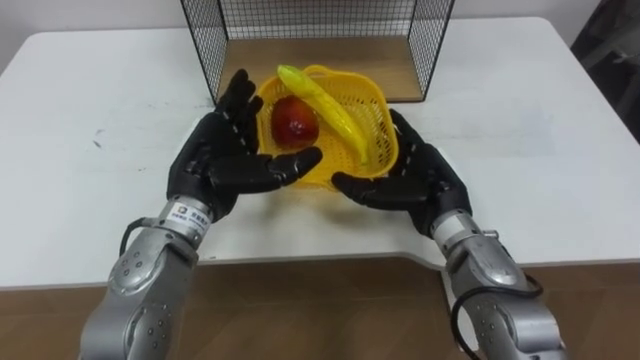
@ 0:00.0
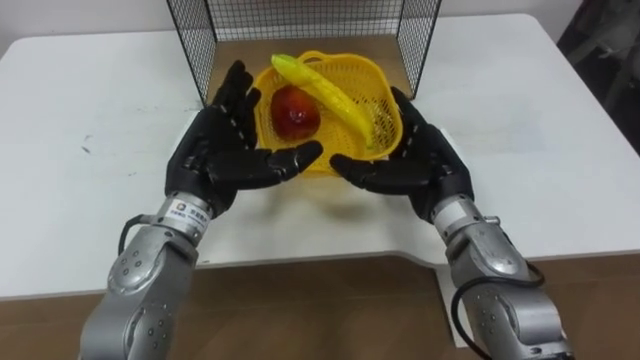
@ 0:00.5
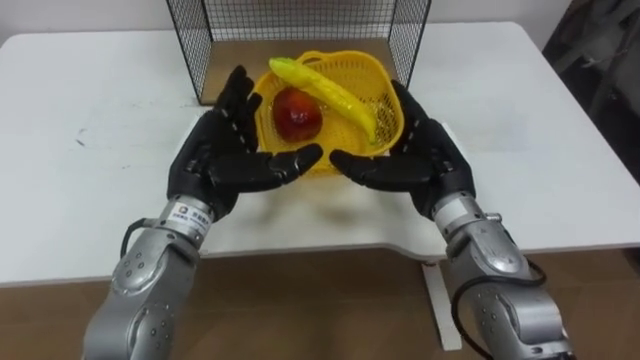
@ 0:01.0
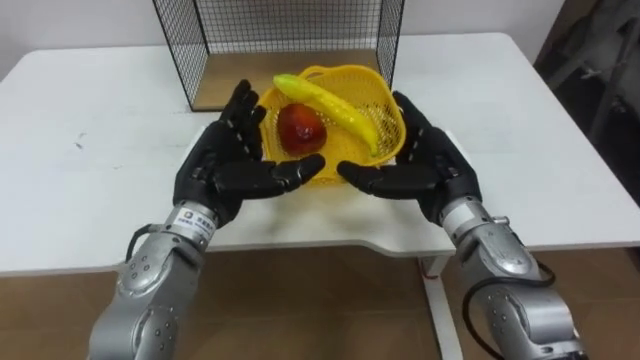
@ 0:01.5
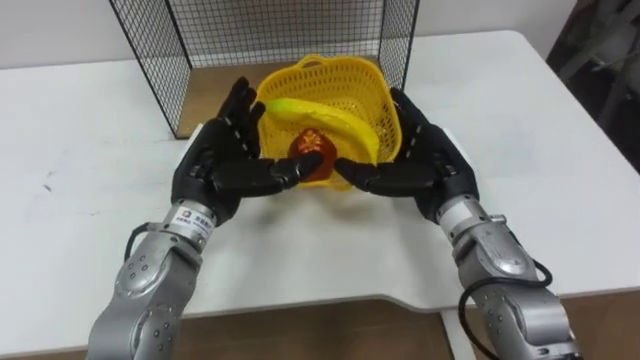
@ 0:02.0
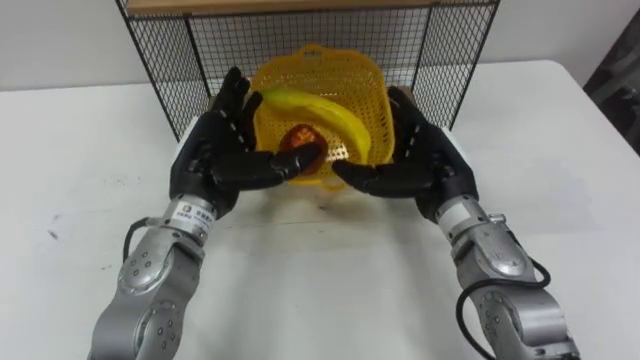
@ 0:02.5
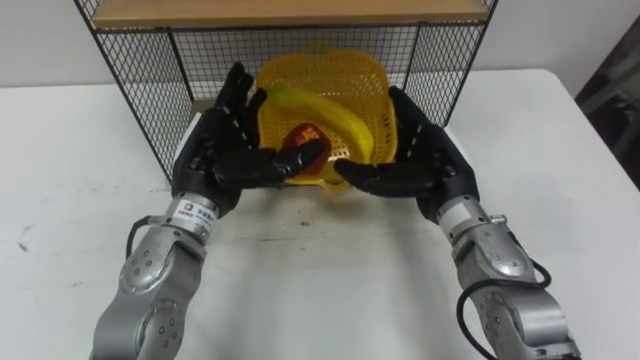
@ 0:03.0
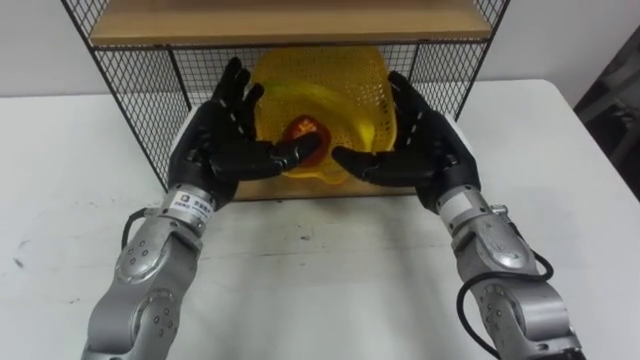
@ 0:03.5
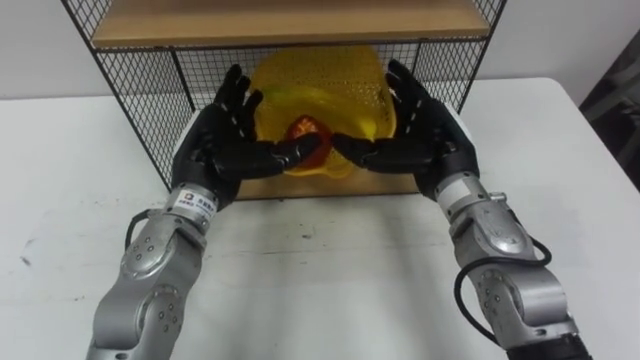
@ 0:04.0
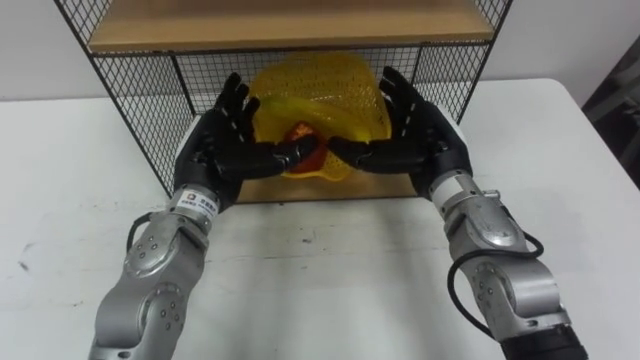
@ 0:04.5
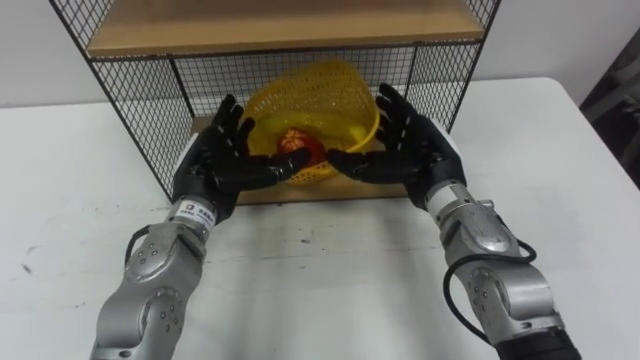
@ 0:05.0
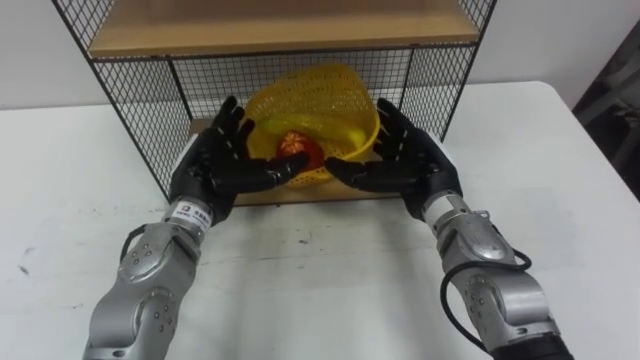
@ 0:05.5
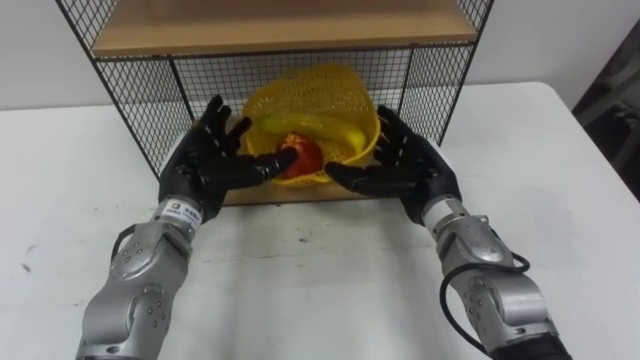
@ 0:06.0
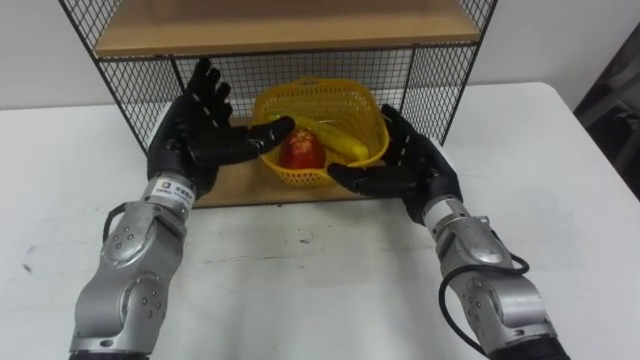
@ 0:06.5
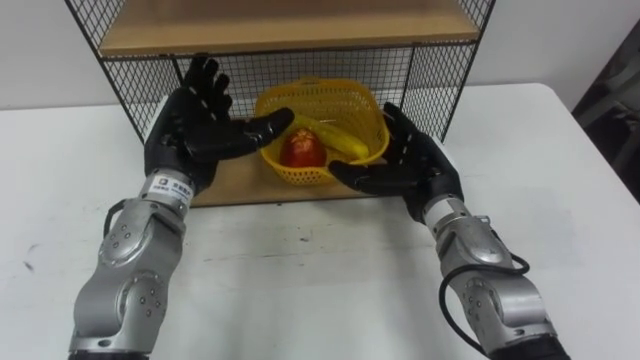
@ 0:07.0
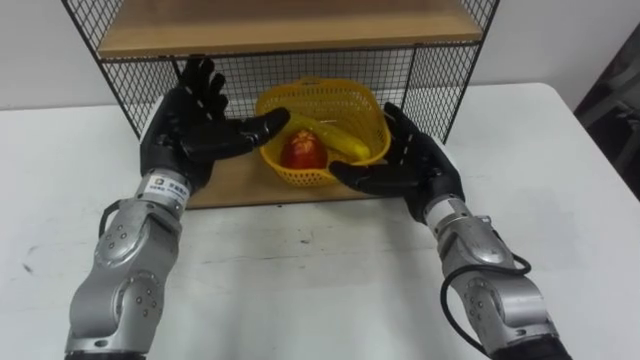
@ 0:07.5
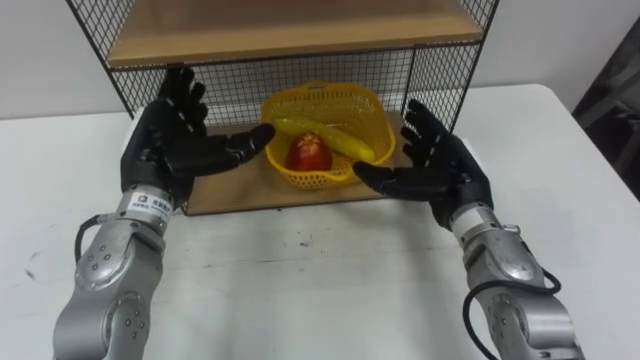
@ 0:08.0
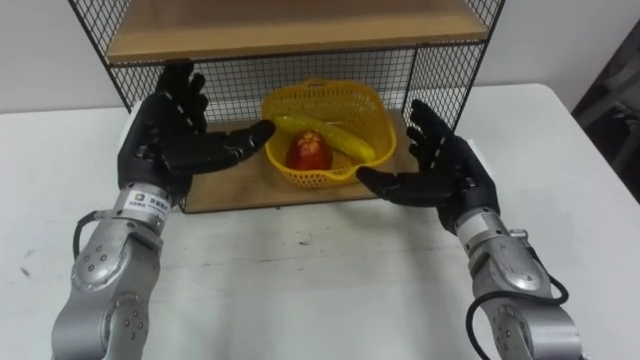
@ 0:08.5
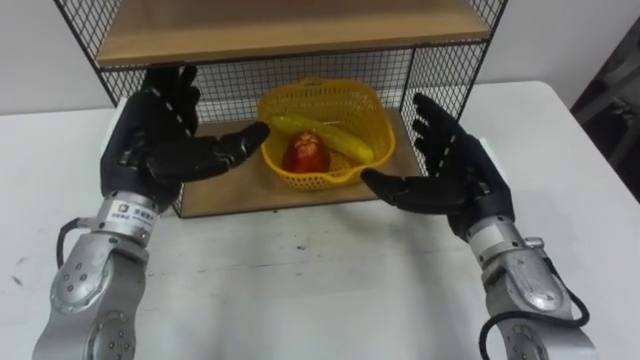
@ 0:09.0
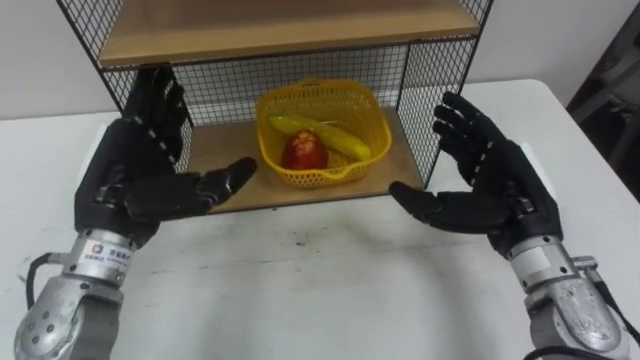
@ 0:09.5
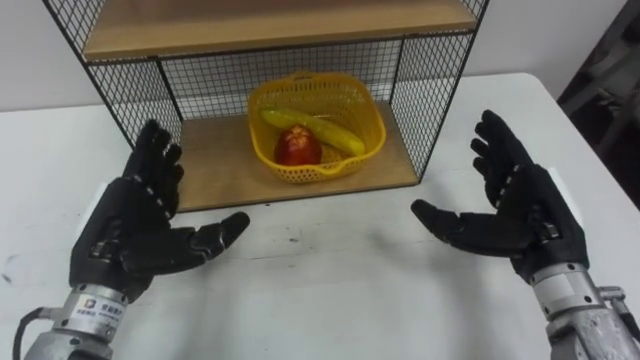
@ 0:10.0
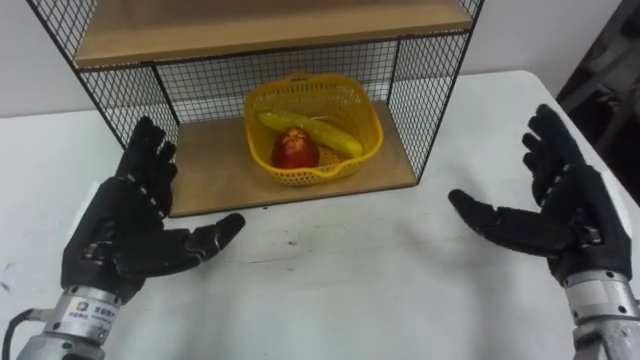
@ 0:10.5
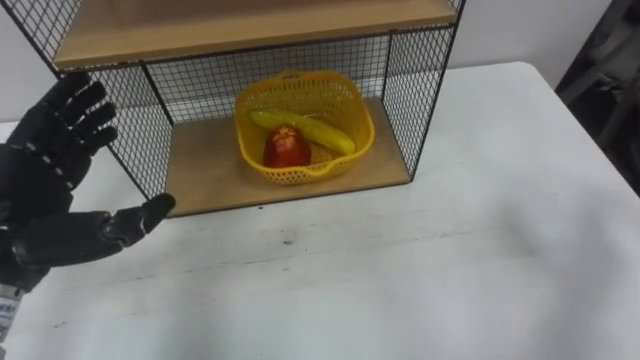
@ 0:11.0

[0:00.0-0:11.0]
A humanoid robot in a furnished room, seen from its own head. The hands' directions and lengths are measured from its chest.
Task of the whole recording: Put the fruit on the table into the basket, then place the basket on the shelf.
0:05.5 to 0:07.5: The left hand changes place by some 5 cm.
0:07.5 to 0:09.0: The right hand changes place by some 5 cm.
0:09.0 to 0:11.0: The left hand is displaced backward and to the left by some 15 cm.

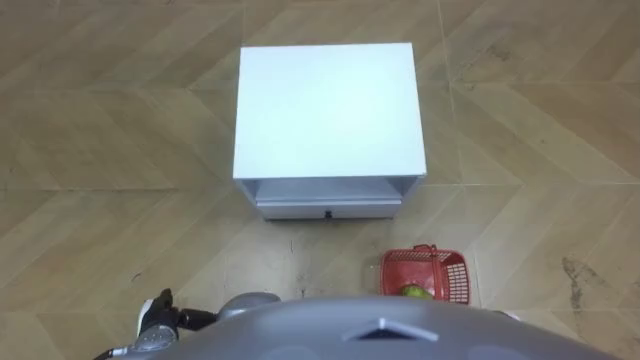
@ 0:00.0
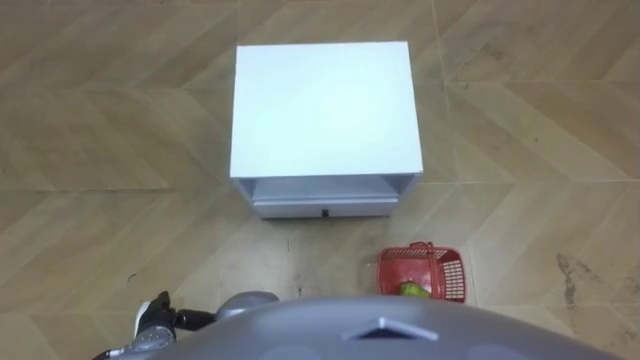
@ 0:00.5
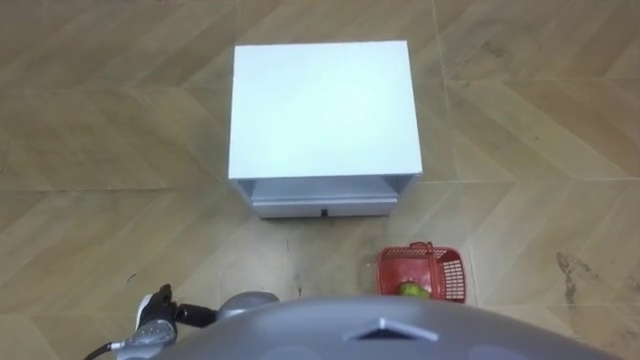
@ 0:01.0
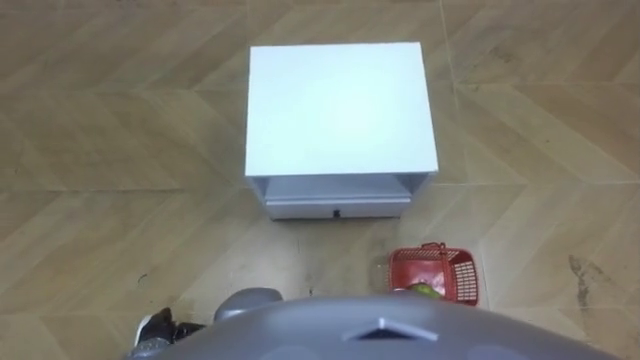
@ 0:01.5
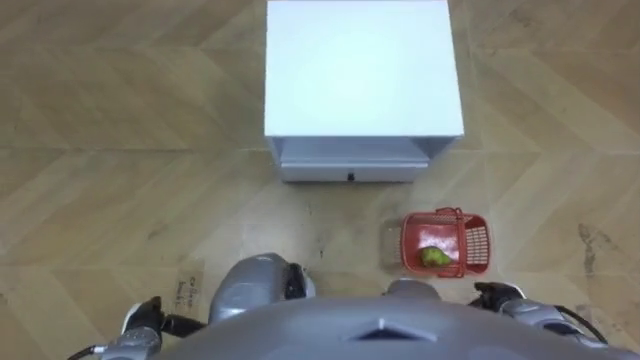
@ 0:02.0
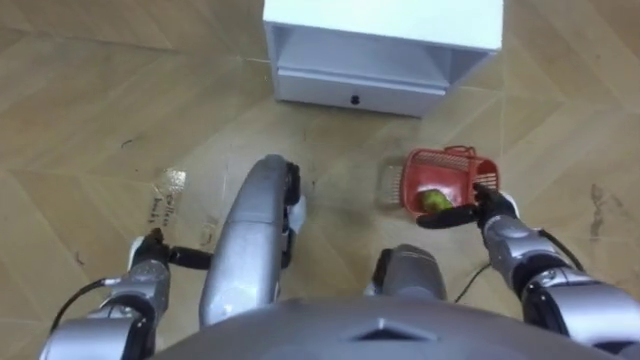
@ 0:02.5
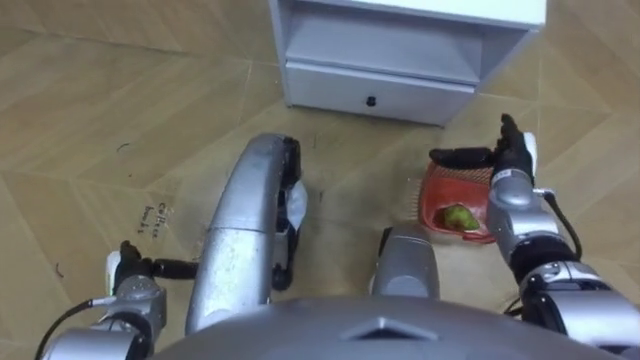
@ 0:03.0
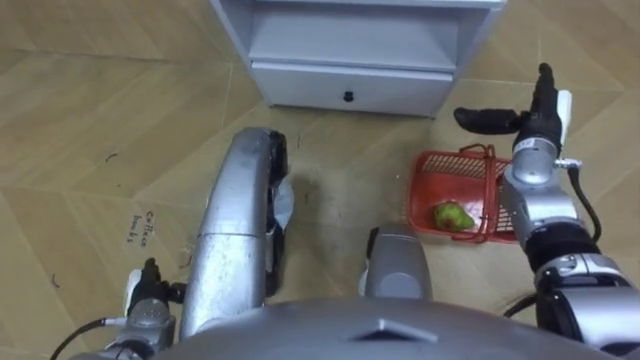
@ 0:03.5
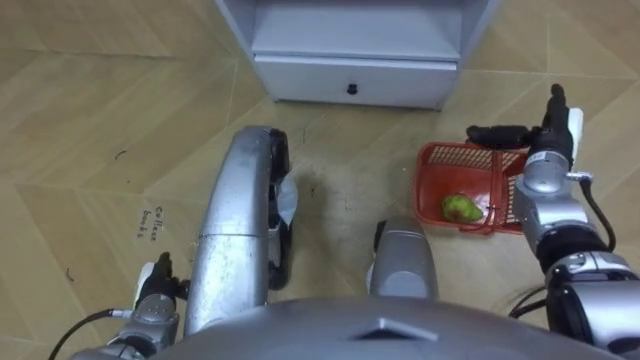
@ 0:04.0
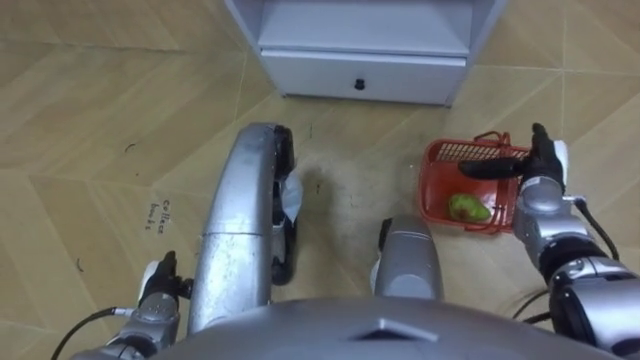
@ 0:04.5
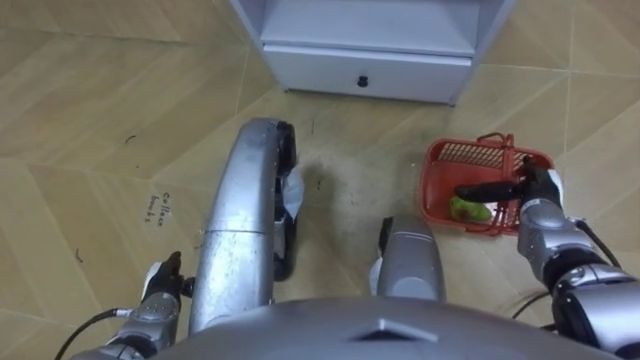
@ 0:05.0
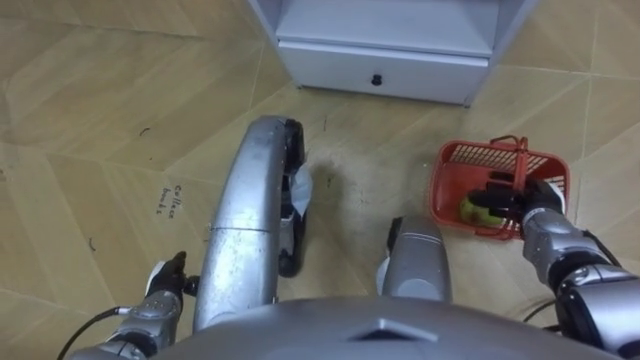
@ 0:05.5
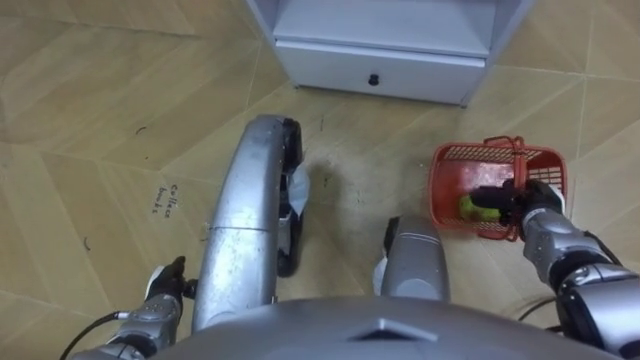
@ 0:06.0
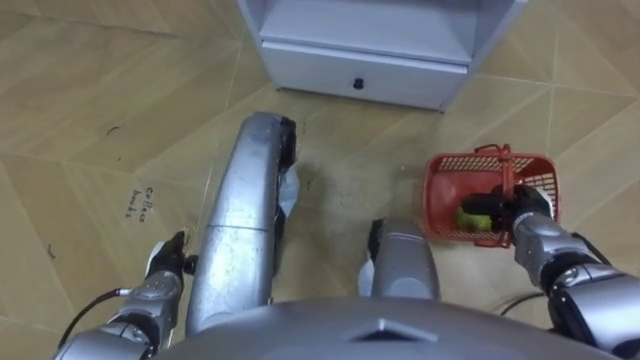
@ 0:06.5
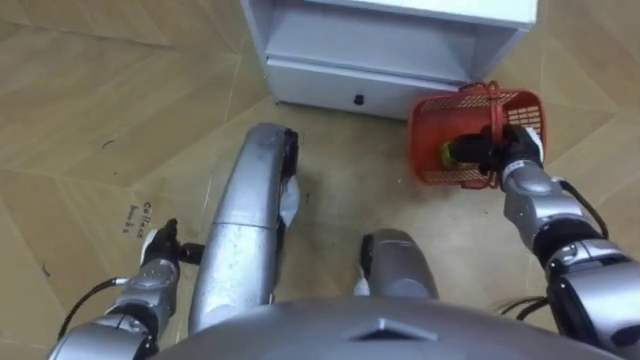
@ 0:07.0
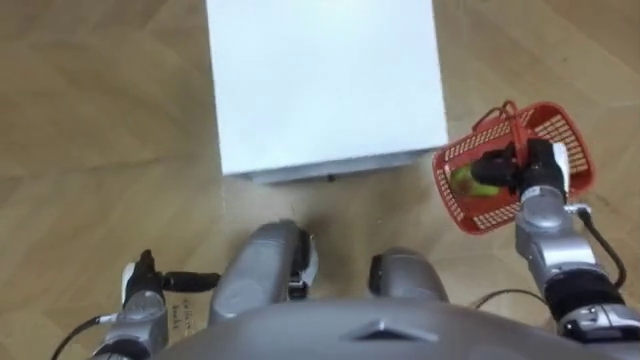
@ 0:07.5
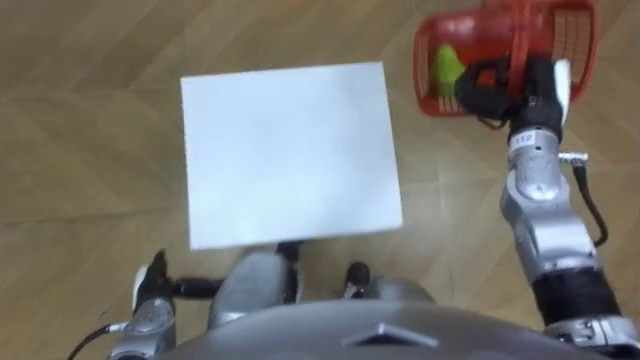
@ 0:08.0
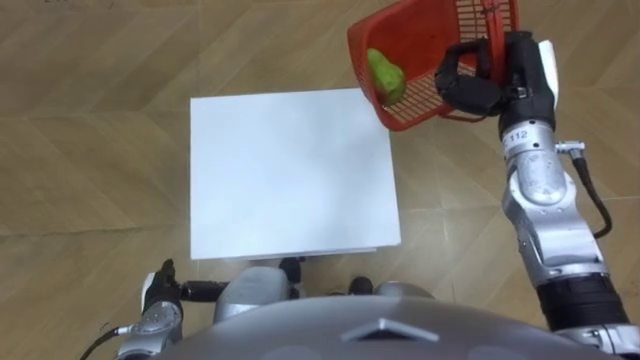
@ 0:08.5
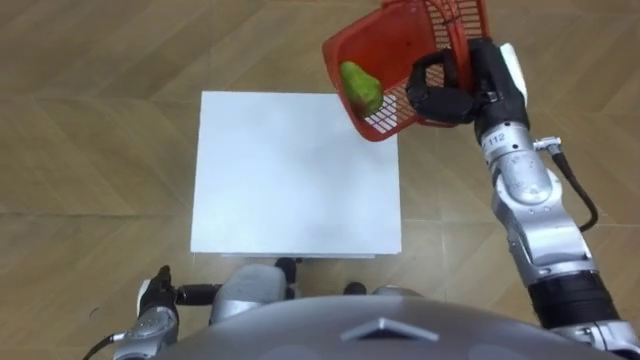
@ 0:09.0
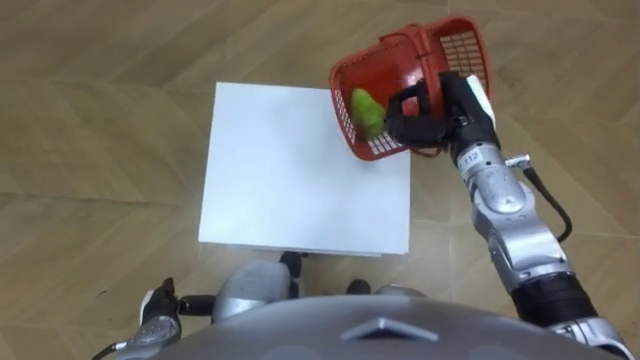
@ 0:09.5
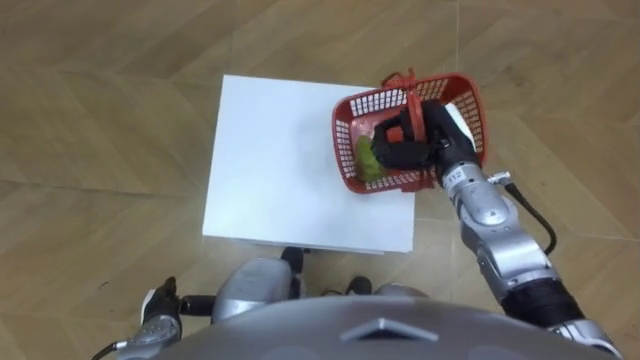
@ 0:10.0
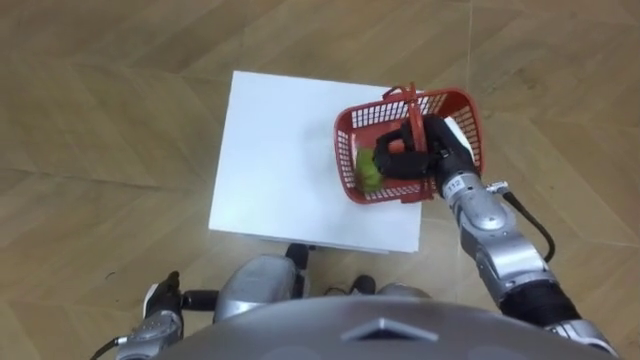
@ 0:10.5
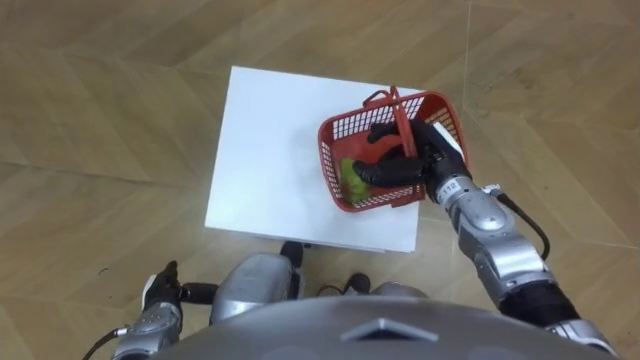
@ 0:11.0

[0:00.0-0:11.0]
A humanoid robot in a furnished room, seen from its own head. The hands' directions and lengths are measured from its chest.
Task of the whole recording: Pick up the fruit basket from the floor and place it on the cabinet.
0:02.0 to 0:03.5: The left hand travels forward by some 5 cm. Meanwhile the right hand heads forward and upward, covering some 30 cm.
0:03.5 to 0:05.5: The right hand moves backward and downward, approximately 15 cm, and closes.
0:05.5 to 0:07.5: The robot turns to its right by roughly 25 degrees. The right hand is displaced upward by some 5 cm, and closes up.
0:07.5 to 0:09.0: The right hand heads upward, to the left and forward, covering roughly 15 cm.
0:09.0 to 0:11.0: The right hand moves downward, roughly 10 cm, and opens.
